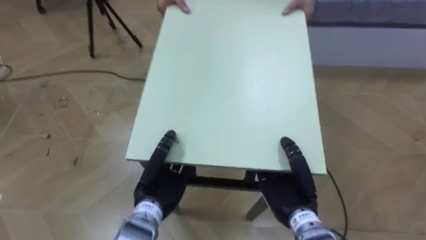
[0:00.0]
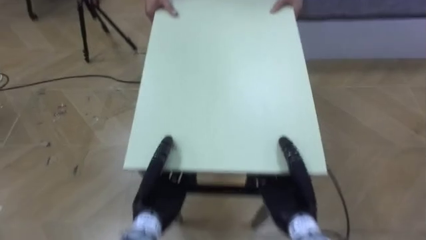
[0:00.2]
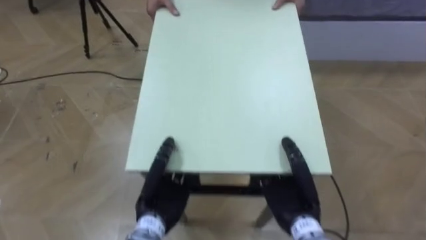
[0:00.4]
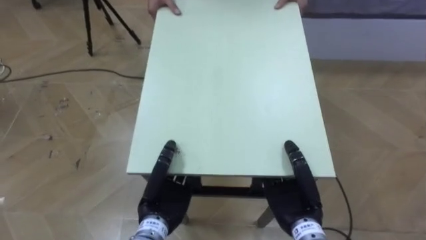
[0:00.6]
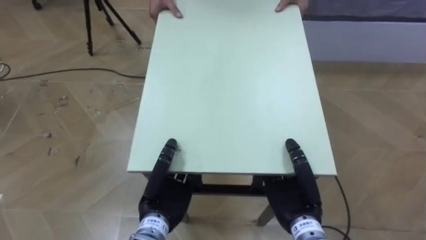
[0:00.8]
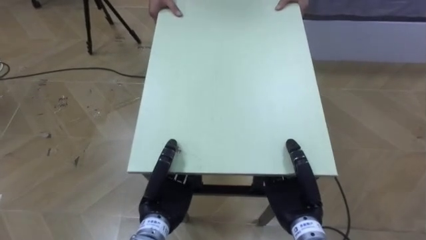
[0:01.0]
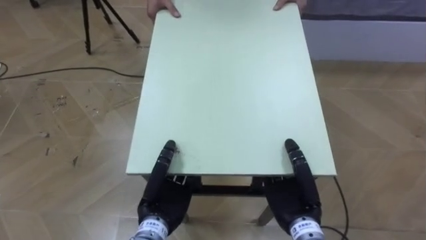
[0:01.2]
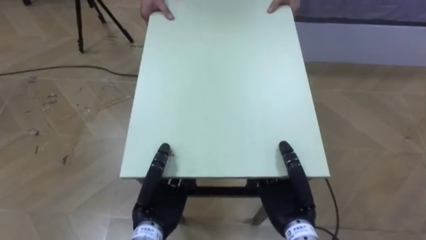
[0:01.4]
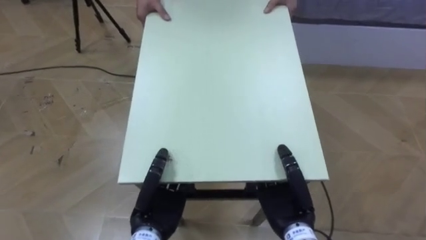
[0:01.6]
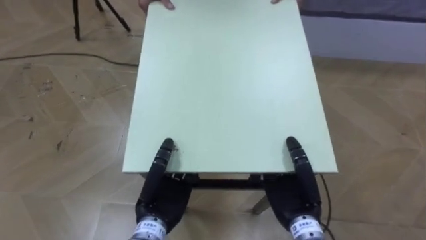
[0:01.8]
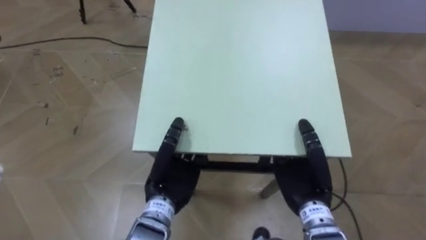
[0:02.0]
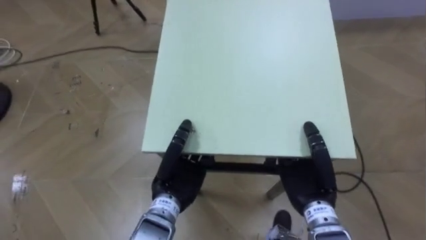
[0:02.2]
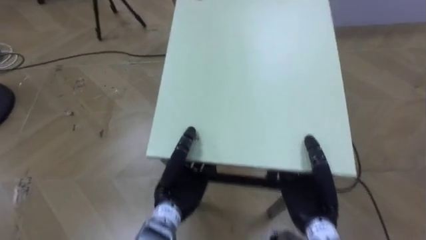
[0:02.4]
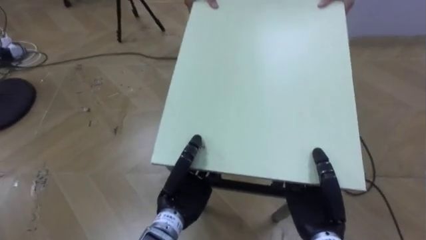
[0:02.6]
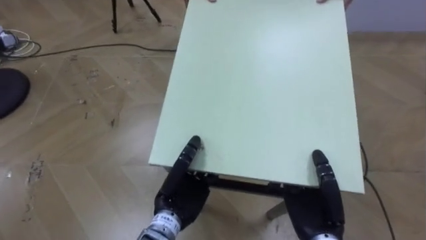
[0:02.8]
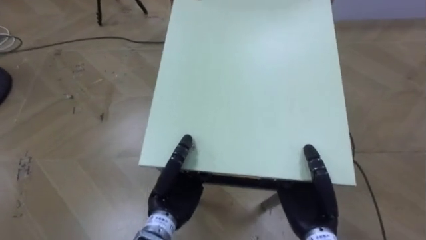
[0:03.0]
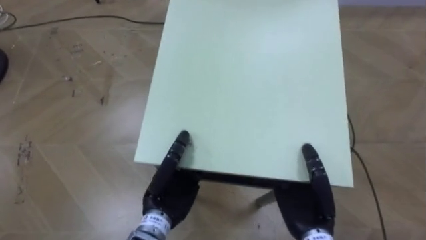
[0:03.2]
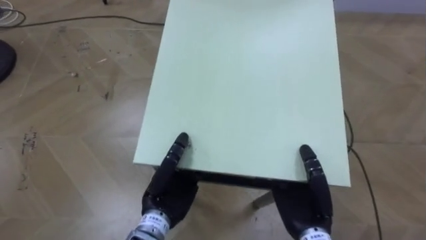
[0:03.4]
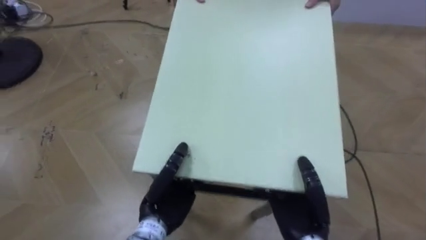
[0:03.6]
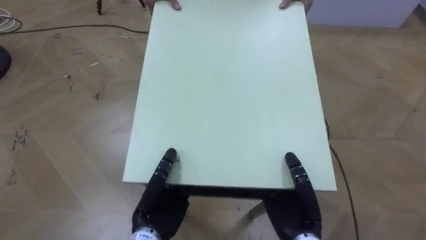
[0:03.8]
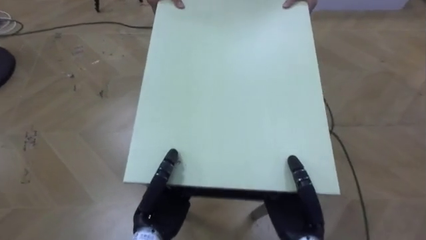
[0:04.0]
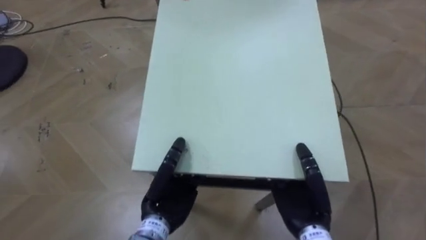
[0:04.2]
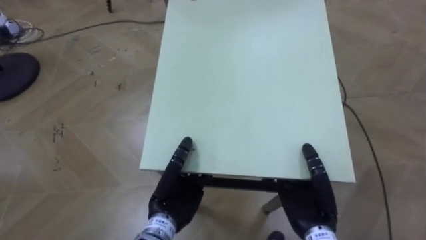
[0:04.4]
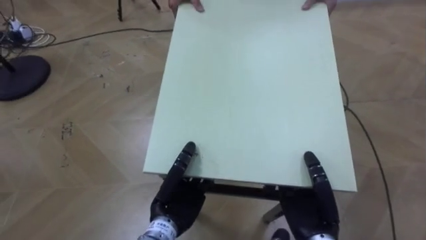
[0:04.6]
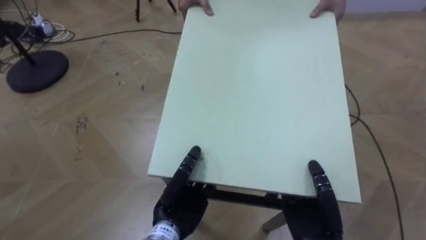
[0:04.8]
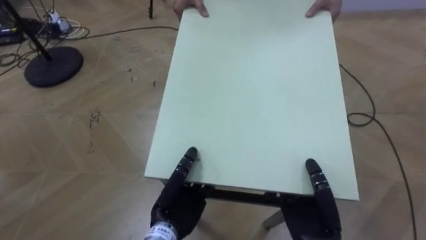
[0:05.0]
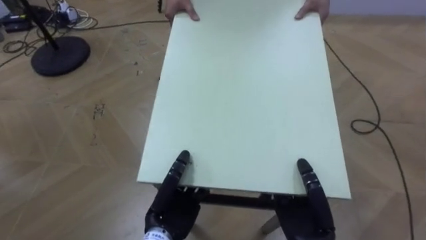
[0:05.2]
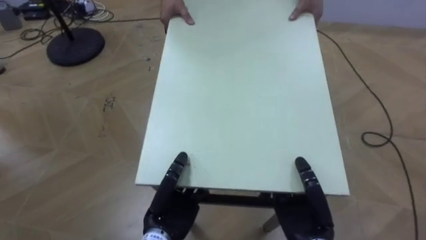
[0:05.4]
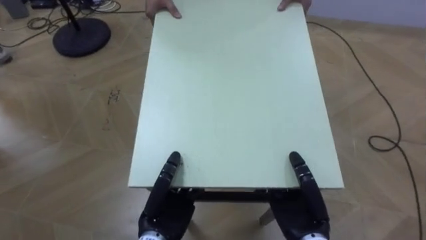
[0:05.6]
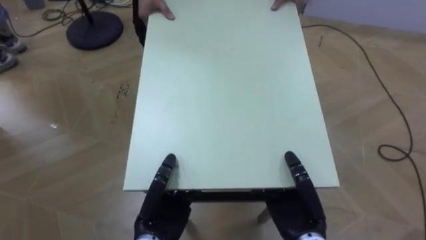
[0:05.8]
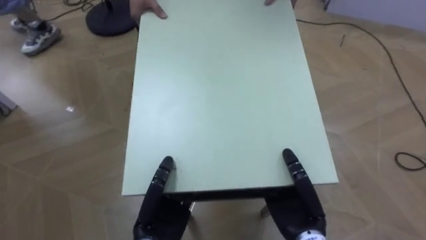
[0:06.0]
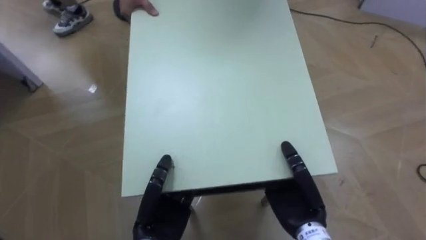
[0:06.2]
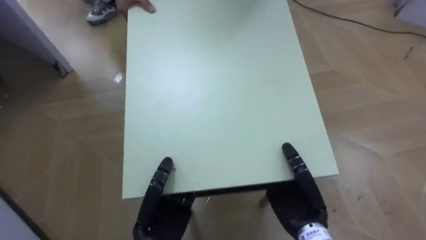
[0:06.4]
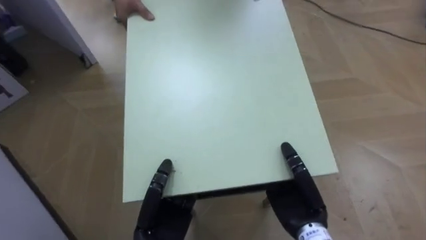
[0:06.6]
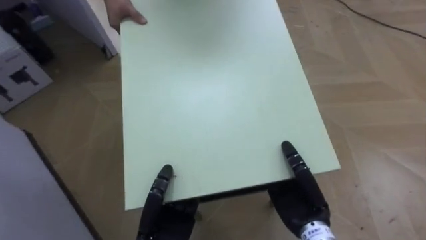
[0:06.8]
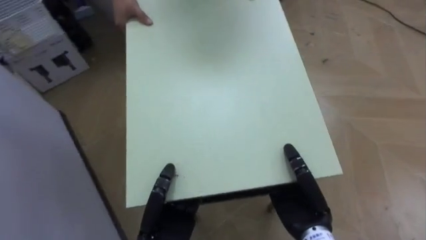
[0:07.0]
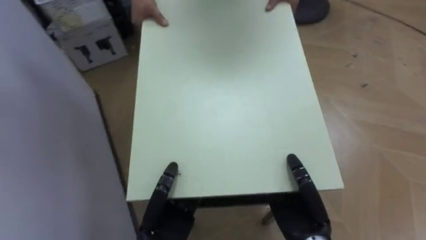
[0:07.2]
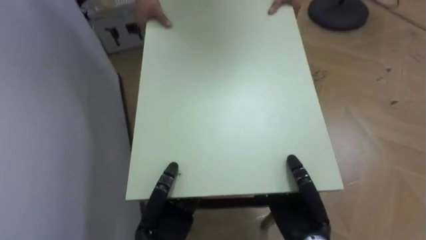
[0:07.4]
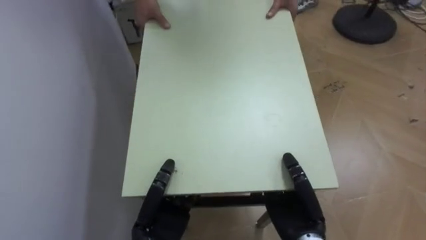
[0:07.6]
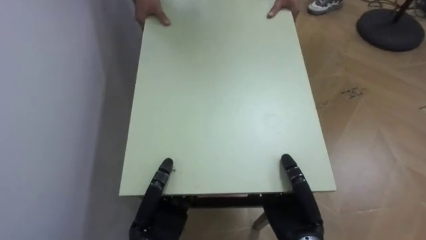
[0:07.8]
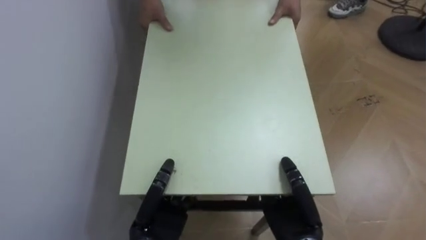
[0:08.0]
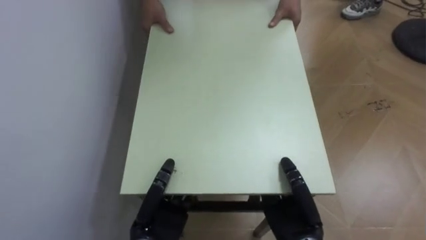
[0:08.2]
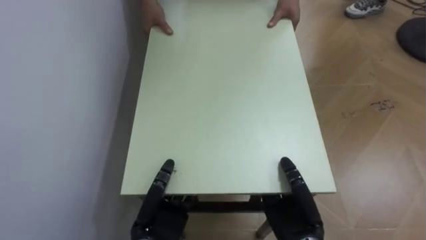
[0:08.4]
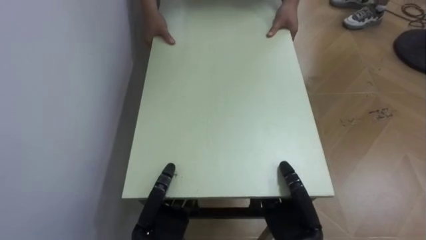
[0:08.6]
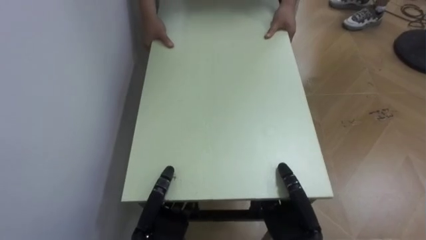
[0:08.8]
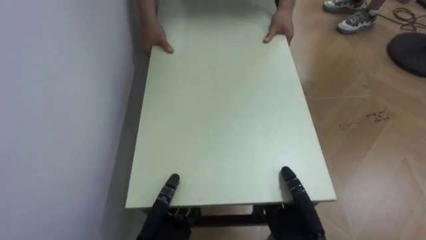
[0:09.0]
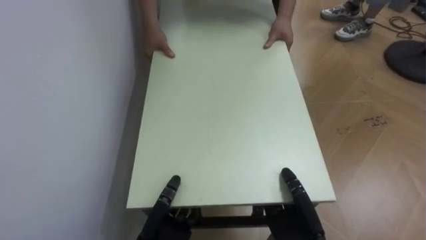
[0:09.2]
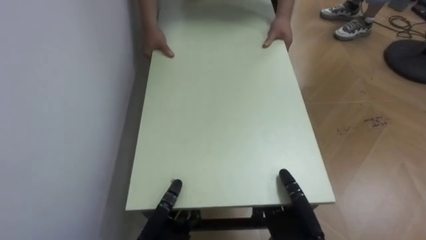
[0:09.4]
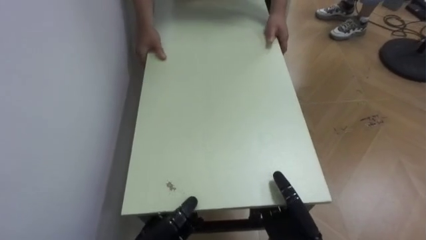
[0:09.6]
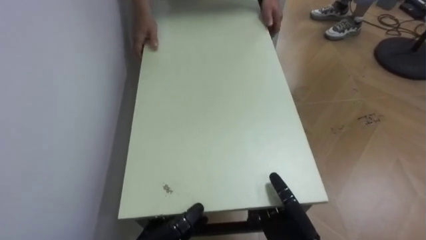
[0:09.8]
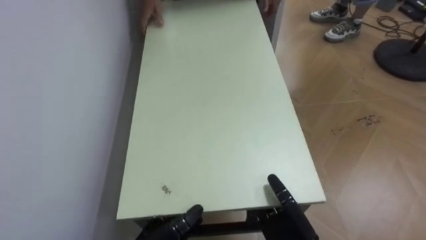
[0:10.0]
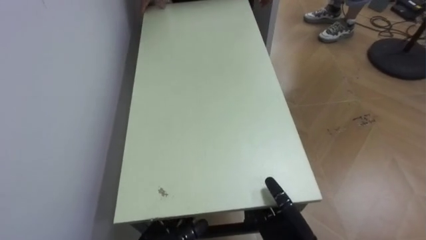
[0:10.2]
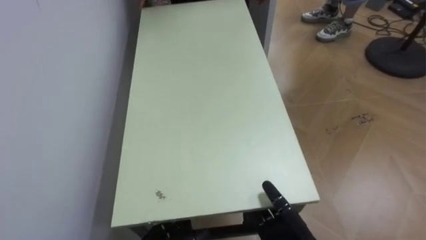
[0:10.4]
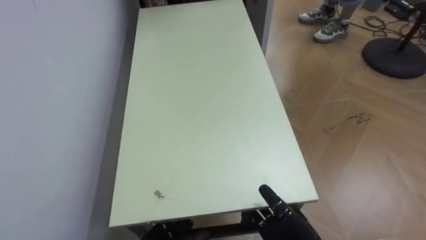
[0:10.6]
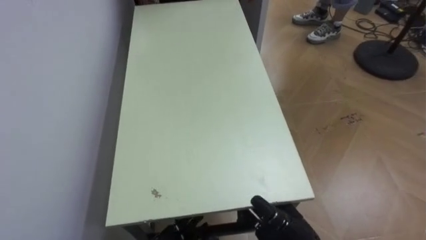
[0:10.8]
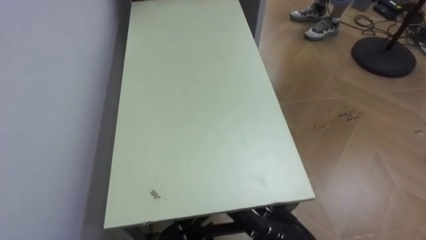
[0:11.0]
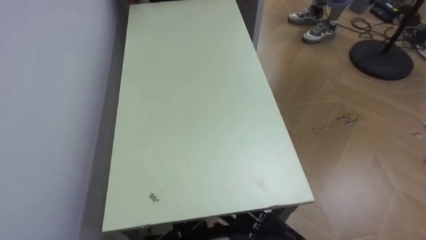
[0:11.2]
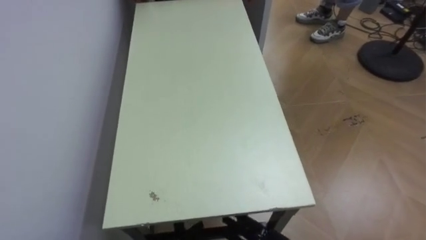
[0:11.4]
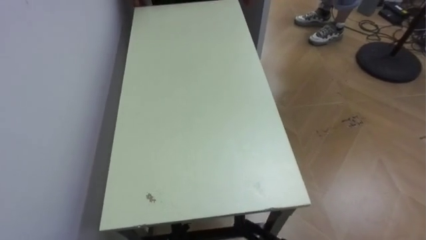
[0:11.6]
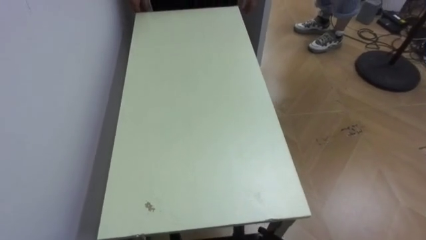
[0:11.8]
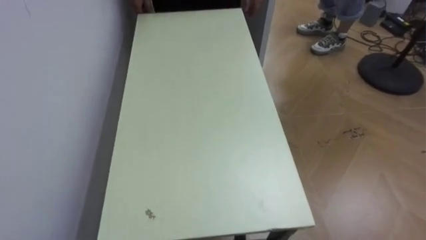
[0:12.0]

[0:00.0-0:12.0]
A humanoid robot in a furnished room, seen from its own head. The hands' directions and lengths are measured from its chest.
Task of the whole recording: Move the table to the back left with someone.
0:06.0 to 0:07.6: The robot's body swings approximately 60 degrees to its left.
0:07.6 to 0:09.0: The robot faces some 15 degrees further to its left.
0:09.0 to 0:10.4: The right hand opens up.

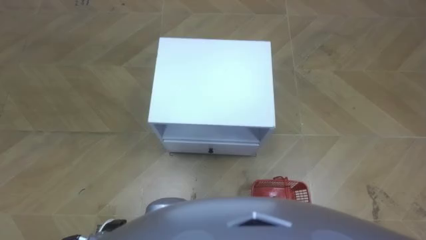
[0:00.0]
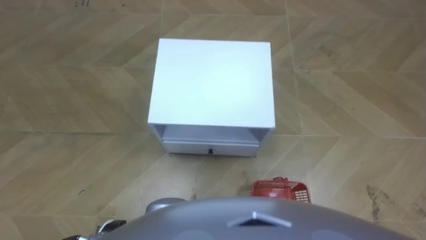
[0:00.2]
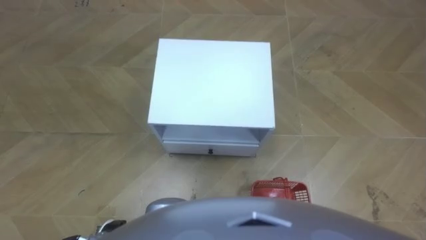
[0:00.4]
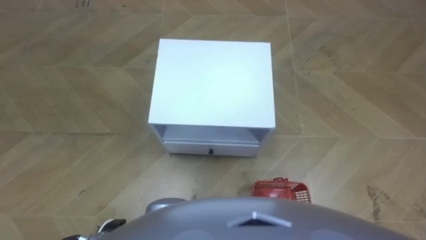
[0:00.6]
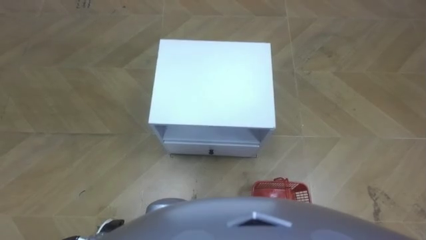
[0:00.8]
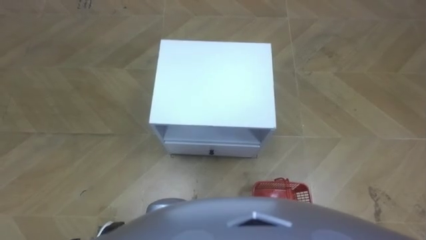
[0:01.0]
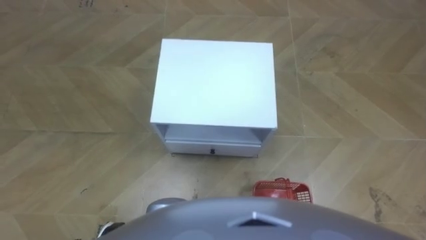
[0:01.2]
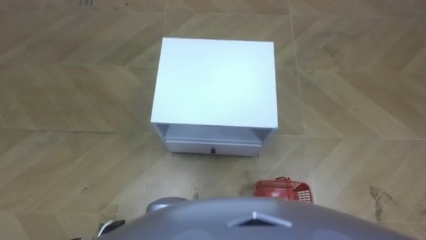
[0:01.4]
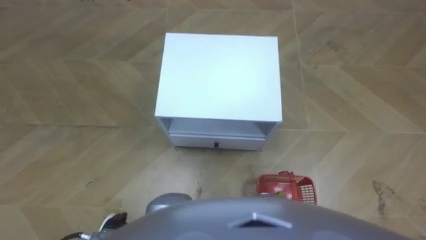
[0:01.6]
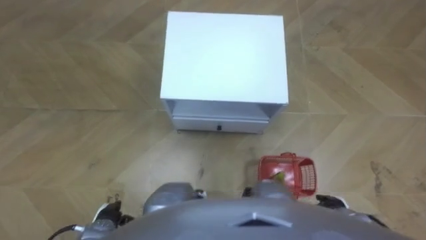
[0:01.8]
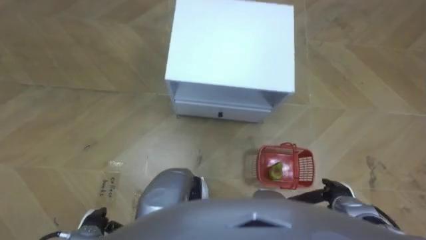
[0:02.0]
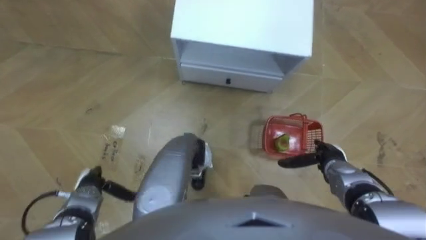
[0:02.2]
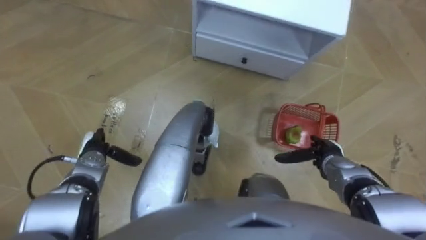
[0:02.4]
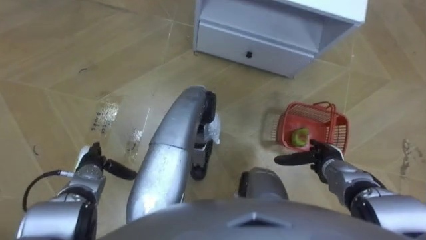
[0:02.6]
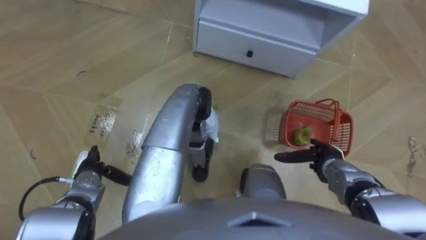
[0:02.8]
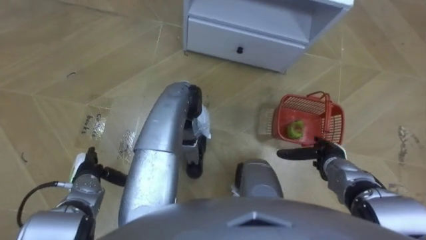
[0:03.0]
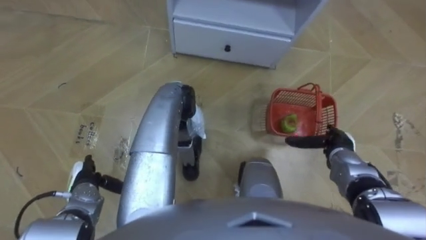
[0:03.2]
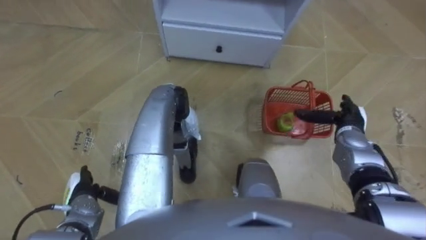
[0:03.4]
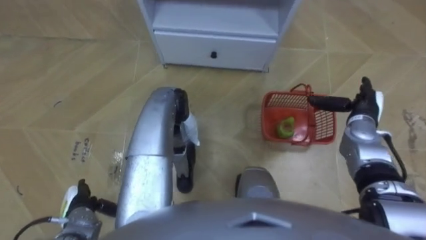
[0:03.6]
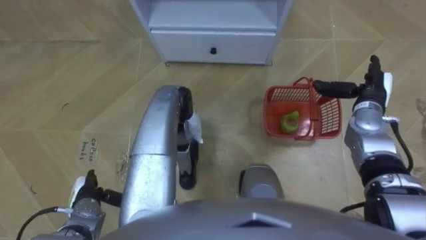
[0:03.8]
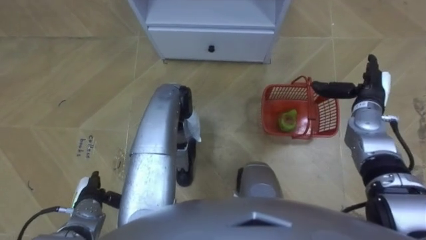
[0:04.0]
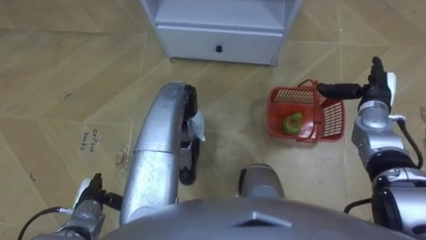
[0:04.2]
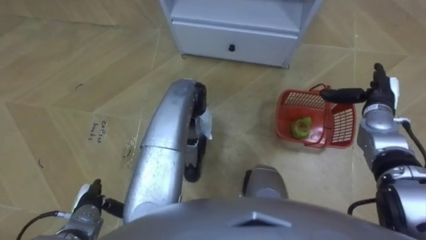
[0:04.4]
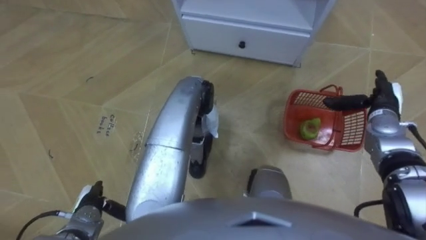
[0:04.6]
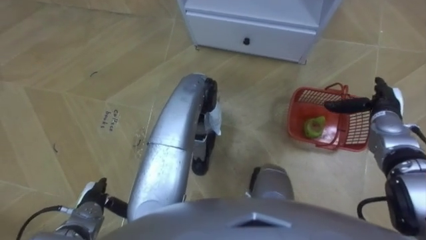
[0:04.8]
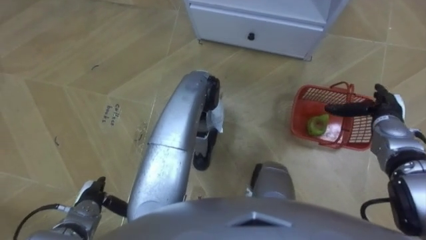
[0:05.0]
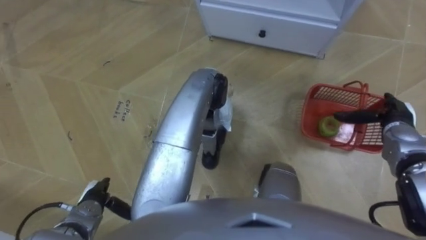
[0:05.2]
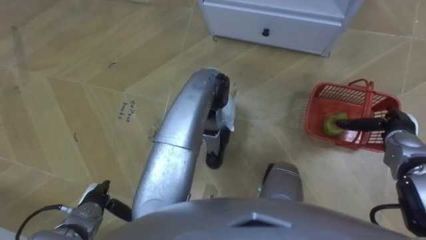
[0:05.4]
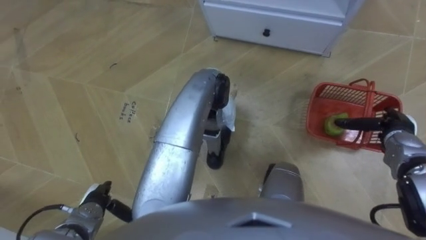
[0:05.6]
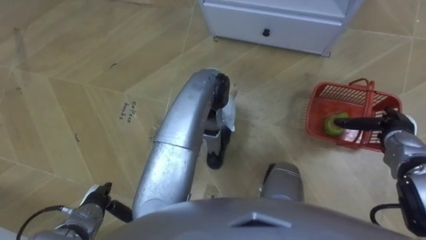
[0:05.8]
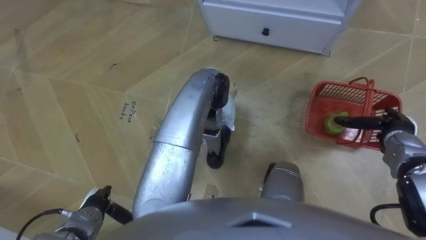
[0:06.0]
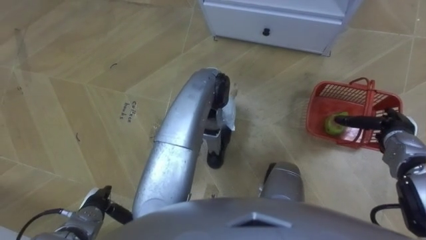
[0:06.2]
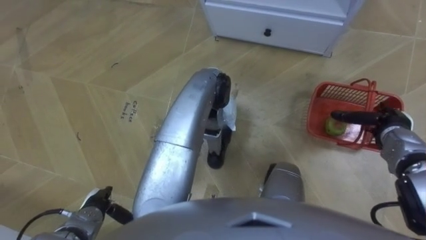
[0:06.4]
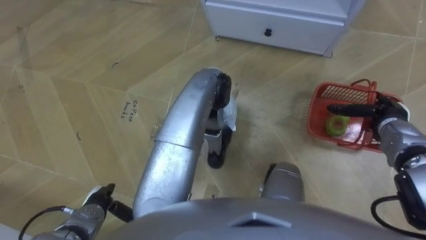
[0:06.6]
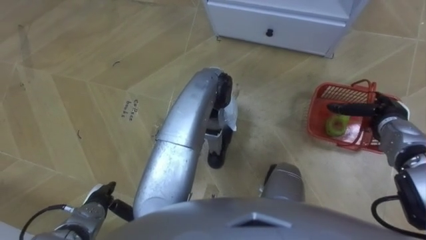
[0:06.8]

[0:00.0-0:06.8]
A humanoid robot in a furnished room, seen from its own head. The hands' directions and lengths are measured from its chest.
Task of the whole recording: Pick up the fruit basket from the floor and place it on the cabinet.
0:01.4 to 0:02.8: Both hands move forward, roughly 15 cm.
0:02.8 to 0:04.0: The left hand heads backward, covering approximately 5 cm, while the right hand heads forward, upward and to the right, covering roughly 20 cm.
0:04.0 to 0:05.4: The right hand heads to the right and backward, covering approximately 10 cm.
